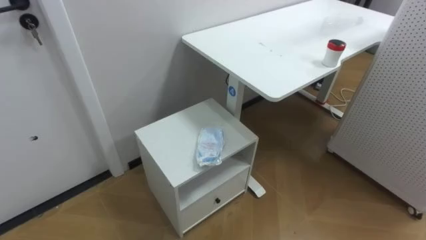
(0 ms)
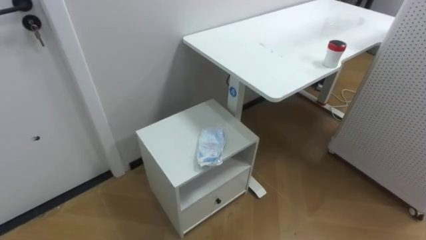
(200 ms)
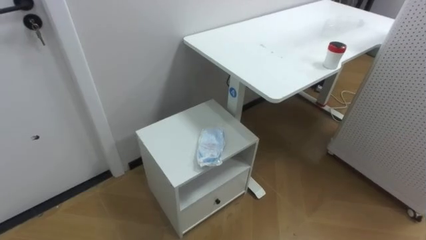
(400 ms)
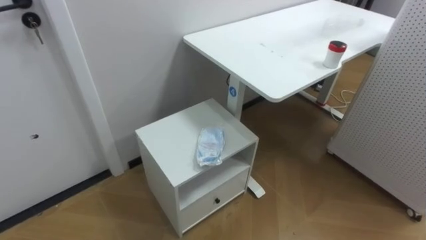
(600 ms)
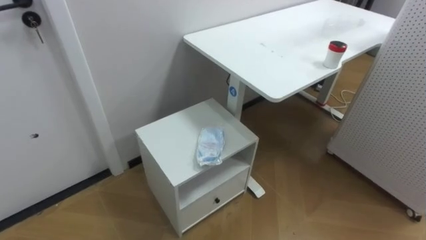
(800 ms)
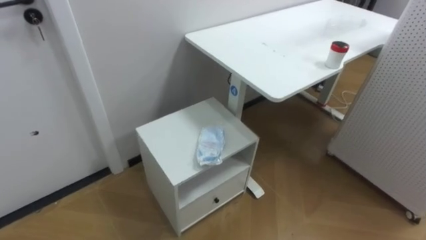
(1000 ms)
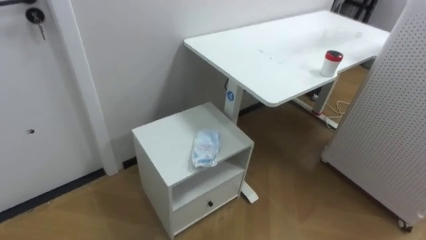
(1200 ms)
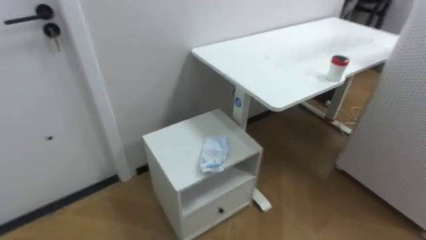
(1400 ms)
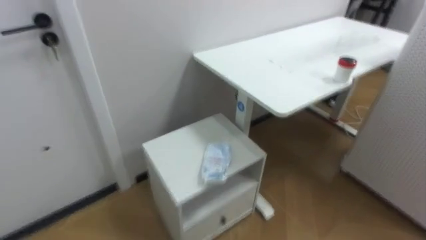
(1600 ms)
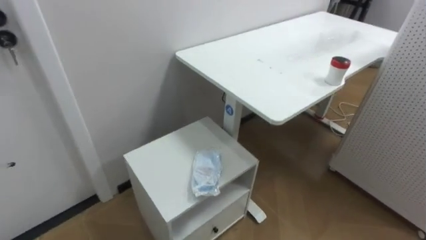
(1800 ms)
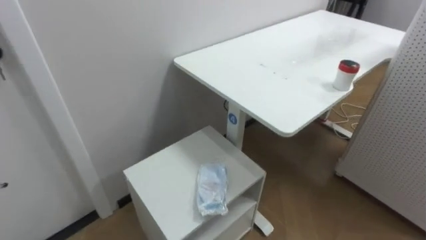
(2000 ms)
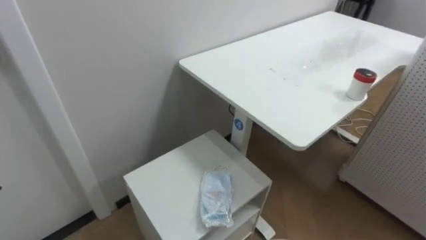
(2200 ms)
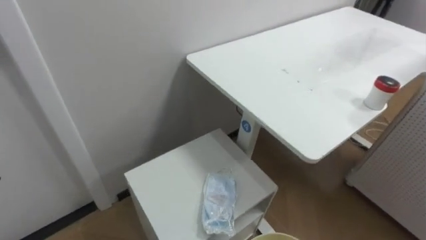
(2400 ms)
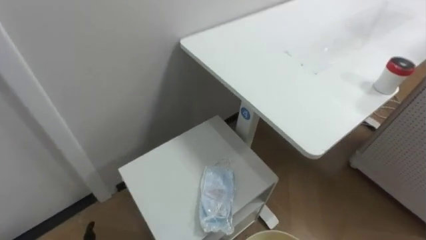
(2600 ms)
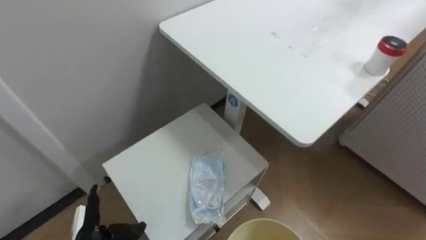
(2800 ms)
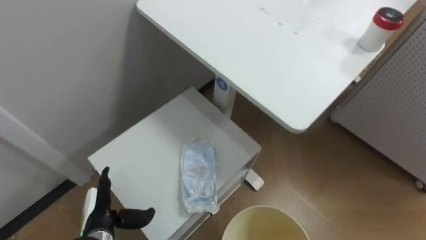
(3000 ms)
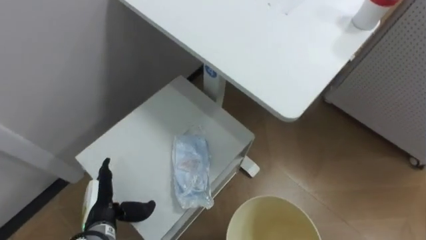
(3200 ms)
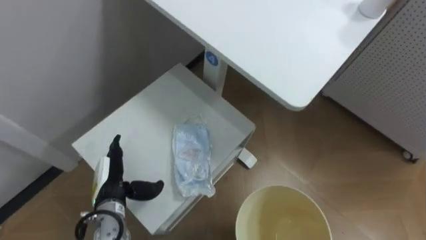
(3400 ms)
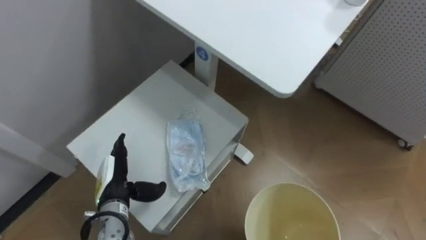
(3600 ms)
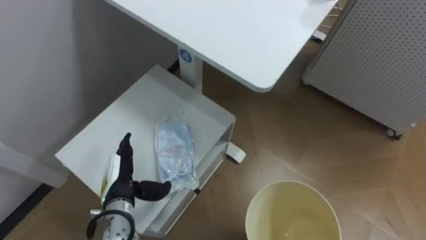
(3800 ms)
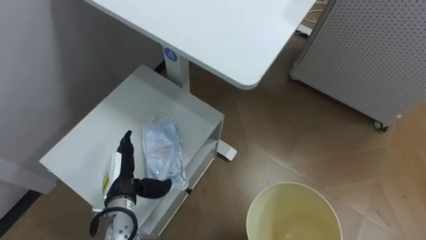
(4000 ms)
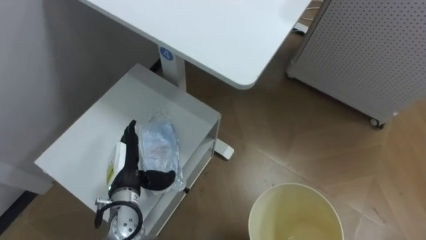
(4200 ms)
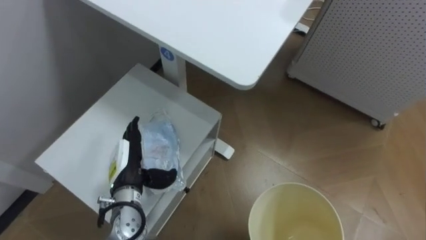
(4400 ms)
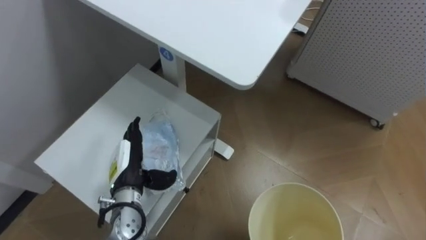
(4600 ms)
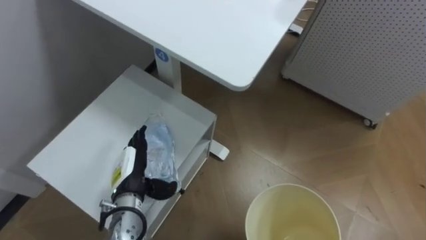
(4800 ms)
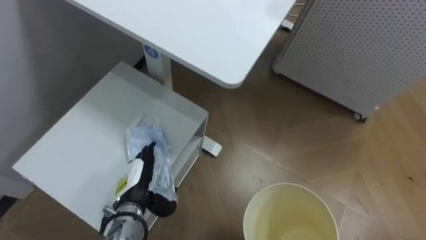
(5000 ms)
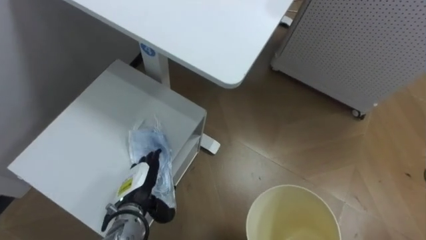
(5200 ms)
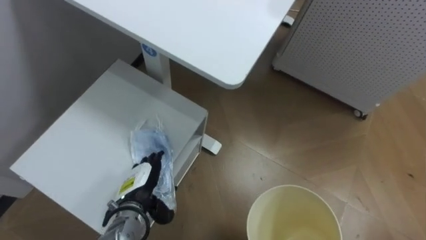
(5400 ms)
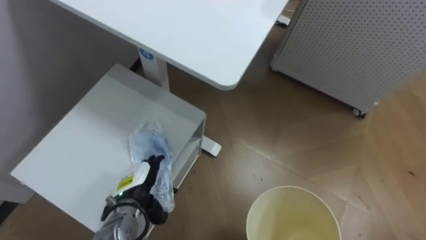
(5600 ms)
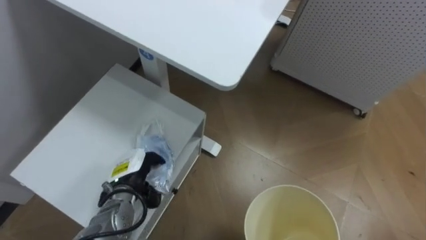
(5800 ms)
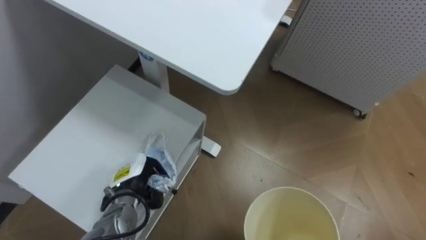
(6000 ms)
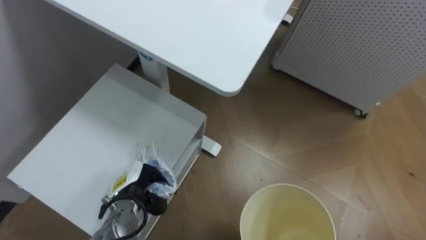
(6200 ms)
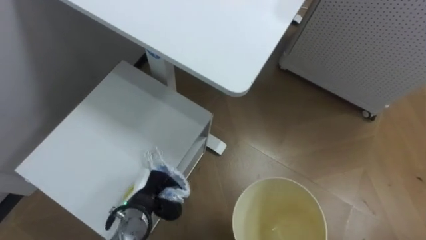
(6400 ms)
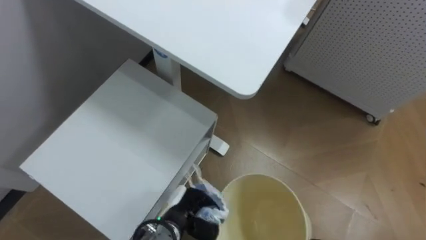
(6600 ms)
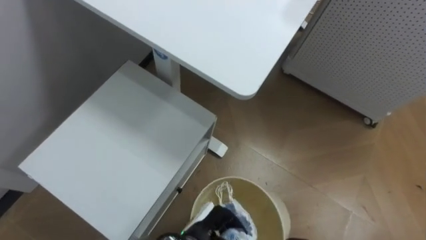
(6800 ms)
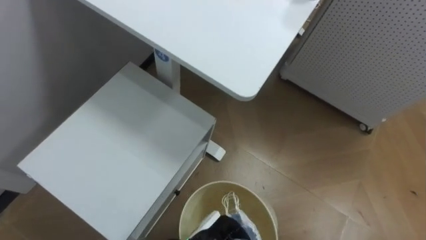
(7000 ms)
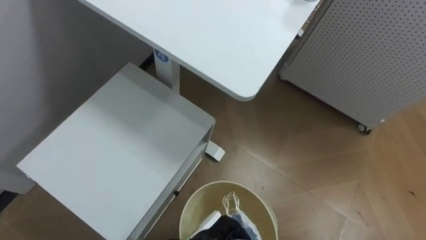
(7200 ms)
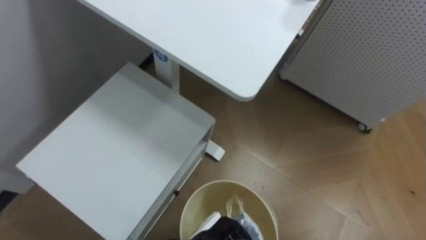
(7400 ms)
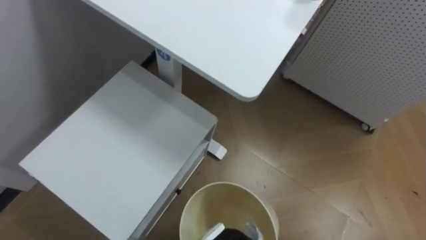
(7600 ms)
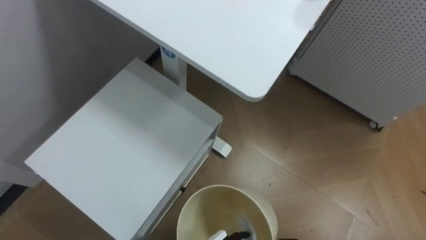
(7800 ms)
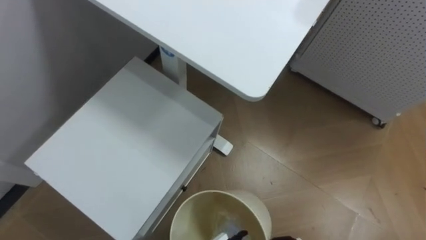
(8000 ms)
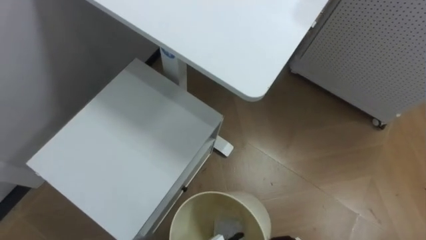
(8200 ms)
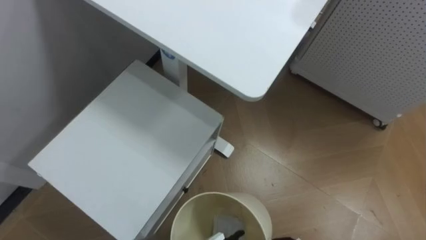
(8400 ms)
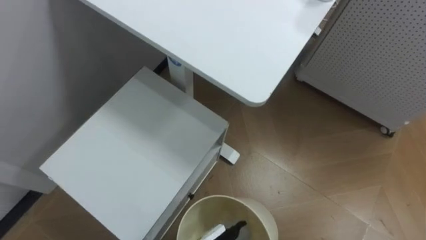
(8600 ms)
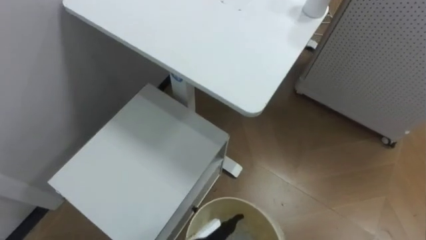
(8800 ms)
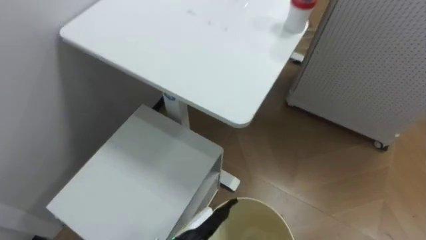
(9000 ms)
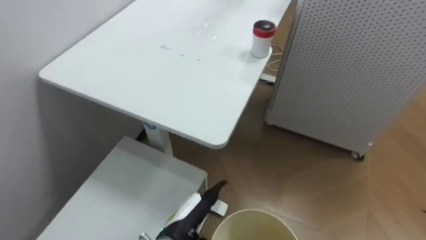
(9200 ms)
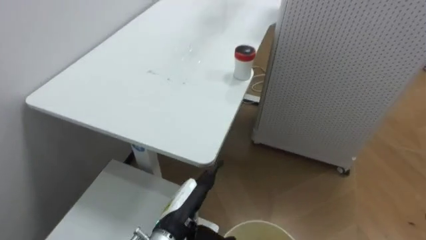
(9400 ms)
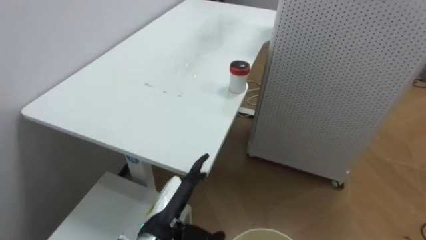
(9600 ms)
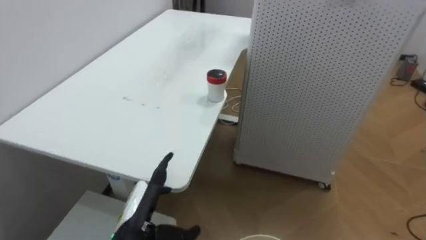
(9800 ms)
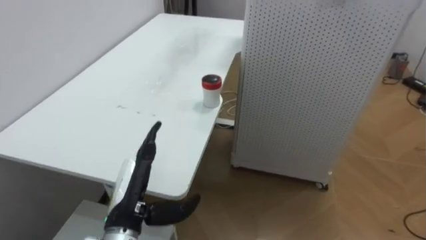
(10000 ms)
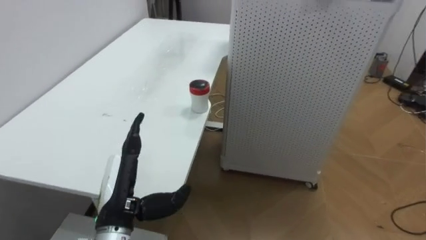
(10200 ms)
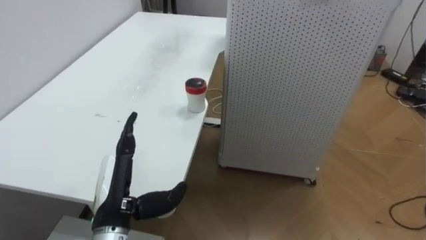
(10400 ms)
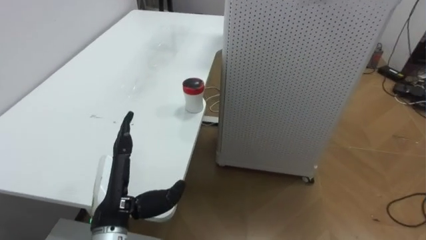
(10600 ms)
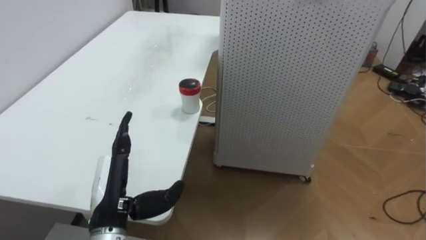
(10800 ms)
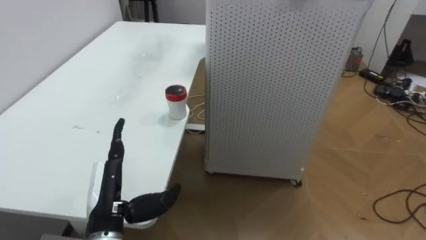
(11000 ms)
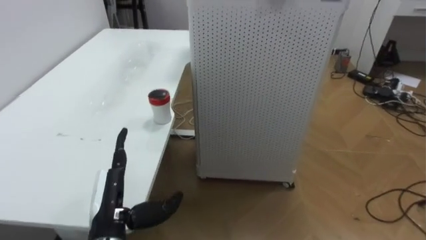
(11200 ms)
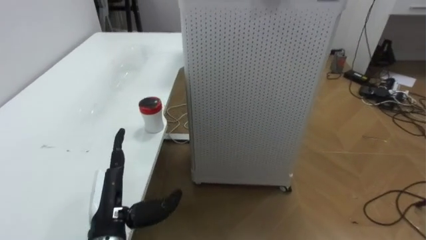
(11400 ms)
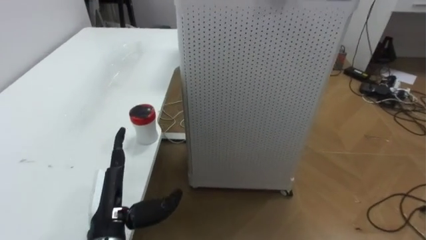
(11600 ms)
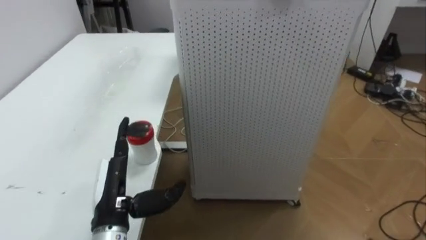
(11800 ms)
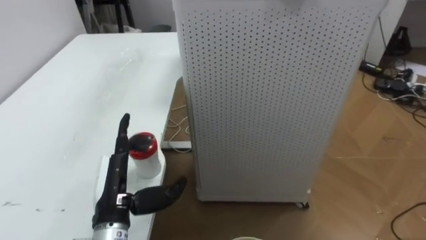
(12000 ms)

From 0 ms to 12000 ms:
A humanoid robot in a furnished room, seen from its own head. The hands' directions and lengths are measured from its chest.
Task of the whole recording: Pick up the light blue package, the candy box, and the dark blue package separately, and put them into the trash can held in your right hand.
From 3000 ms to 4400 ms: The left hand heads upward, forward and to the right, covering roughly 10 cm.
From 4400 ms to 6000 ms: The left hand closes its fingers.
From 9000 ms to 10400 ms: The robot turns to its right by approximately 25 degrees. The left hand moves to the left and upward, roughly 20 cm.

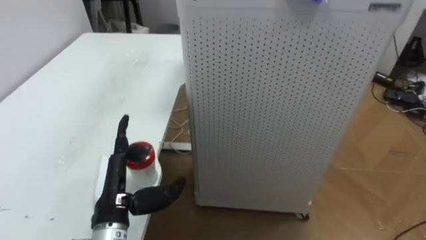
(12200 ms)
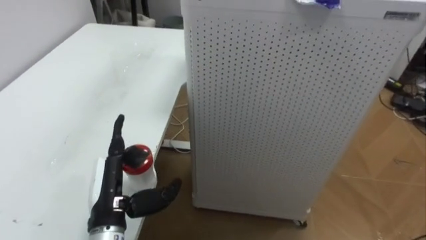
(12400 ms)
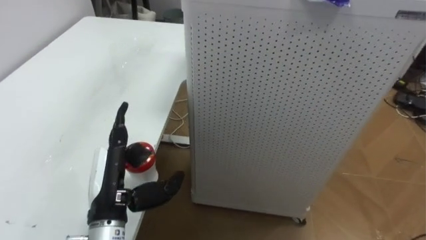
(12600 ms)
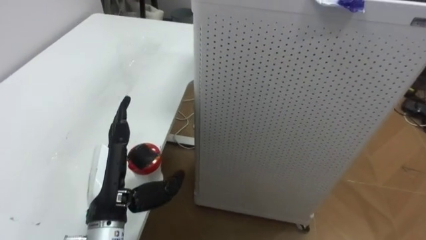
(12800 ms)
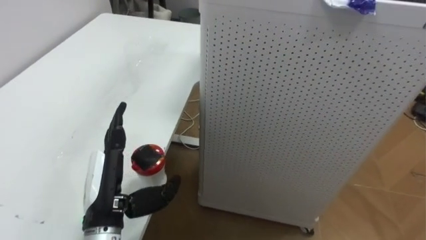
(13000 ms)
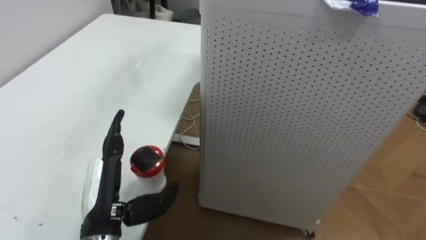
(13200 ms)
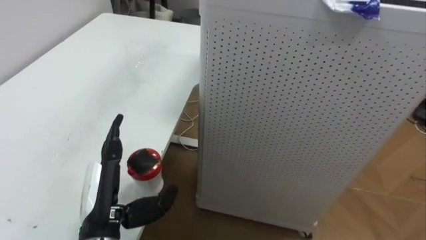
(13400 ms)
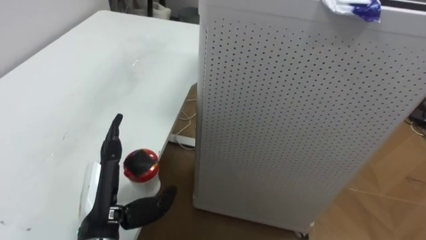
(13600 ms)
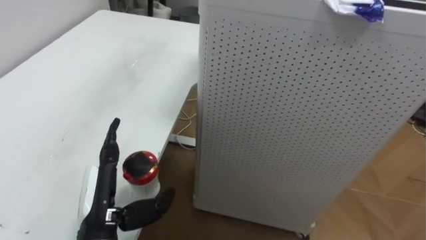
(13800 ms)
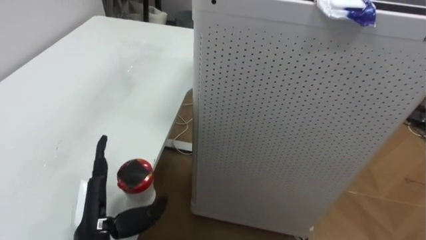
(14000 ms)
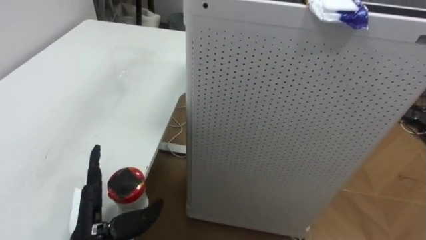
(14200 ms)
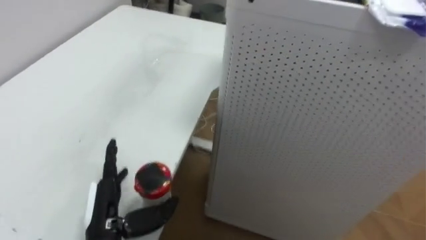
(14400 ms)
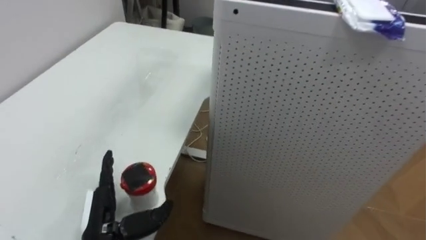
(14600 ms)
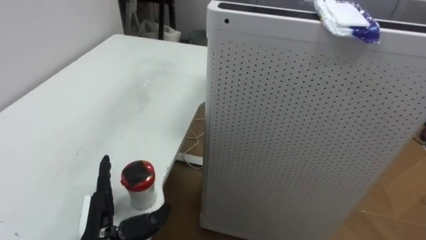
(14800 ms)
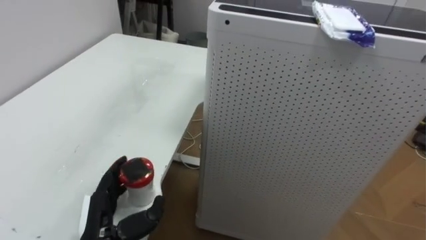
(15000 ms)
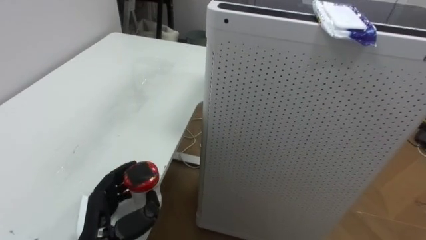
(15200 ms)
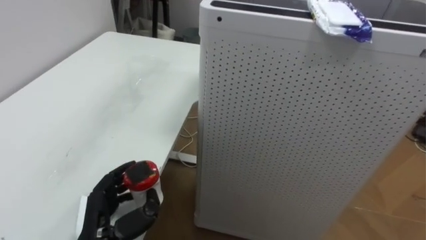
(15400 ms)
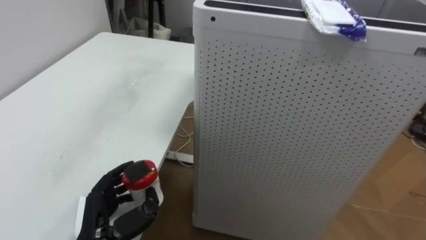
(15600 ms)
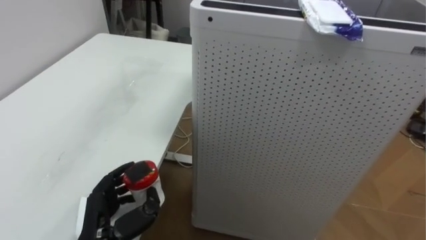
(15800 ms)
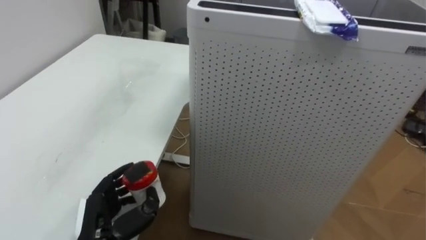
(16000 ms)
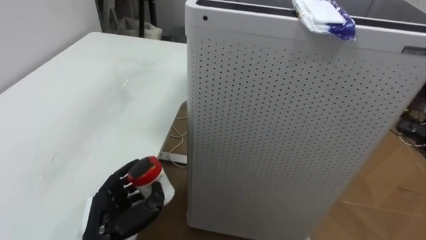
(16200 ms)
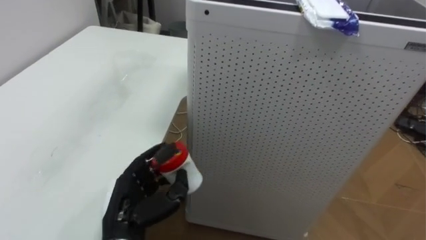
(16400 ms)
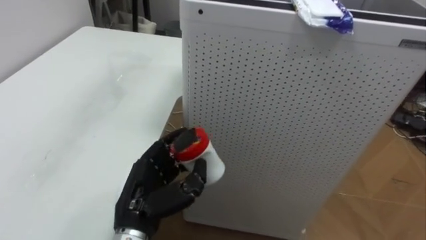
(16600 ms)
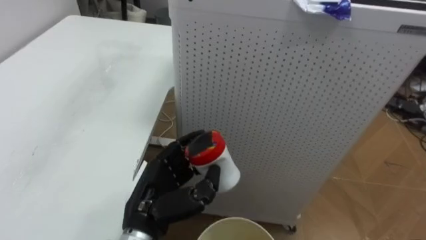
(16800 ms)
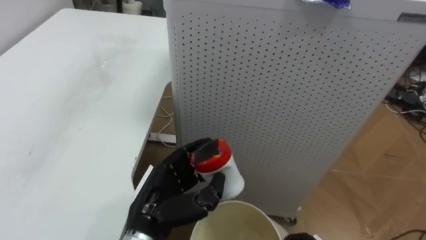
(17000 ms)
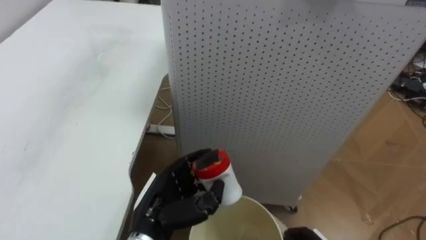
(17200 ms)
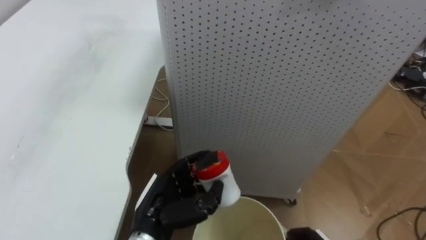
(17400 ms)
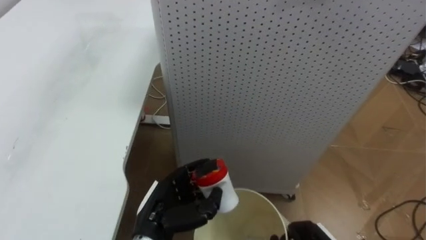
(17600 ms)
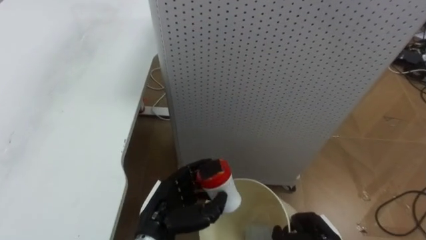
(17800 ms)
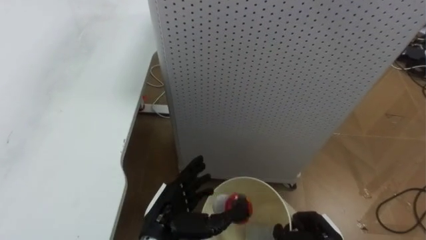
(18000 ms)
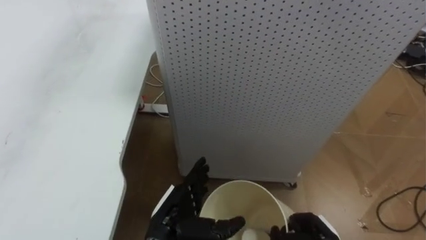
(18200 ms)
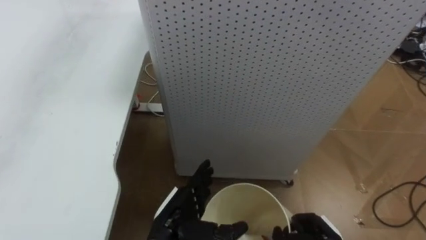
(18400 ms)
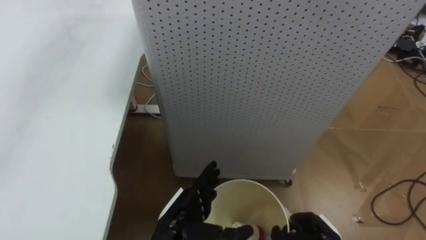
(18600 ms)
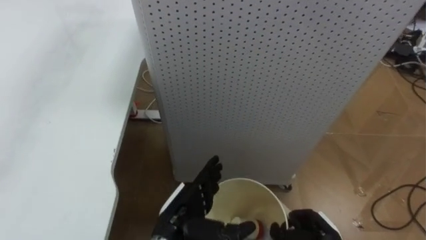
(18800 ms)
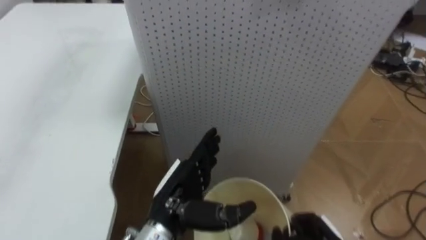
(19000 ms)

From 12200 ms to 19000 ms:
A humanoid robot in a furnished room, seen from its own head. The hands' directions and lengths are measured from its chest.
Task of the whole recording: Pick up the light blue package, the candy box, and the dark blue package separately, and put them into the trash can held in your right hand.
From 13600 ms to 15000 ms: The left hand shifts about 5 cm downward.
From 16200 ms to 17600 ms: The left hand shifts about 10 cm to the right.
From 17600 ms to 19000 ms: The left hand ends up approximately 5 cm from where it was, and opens.
